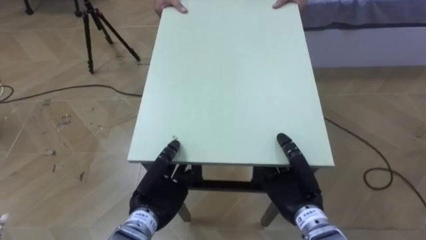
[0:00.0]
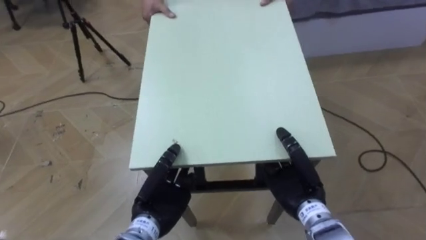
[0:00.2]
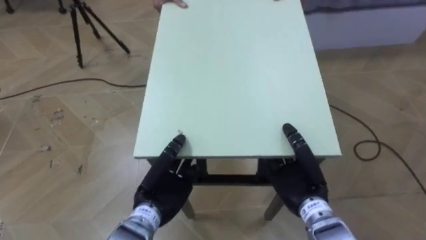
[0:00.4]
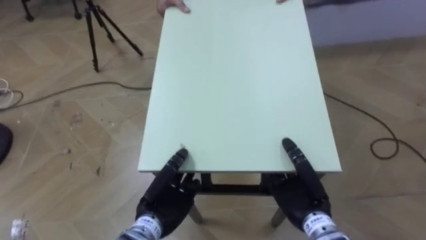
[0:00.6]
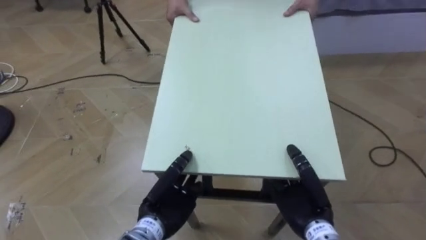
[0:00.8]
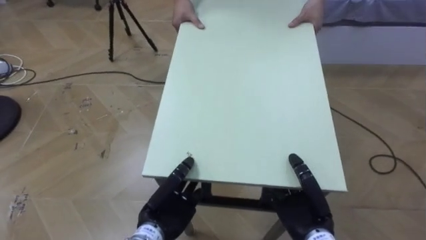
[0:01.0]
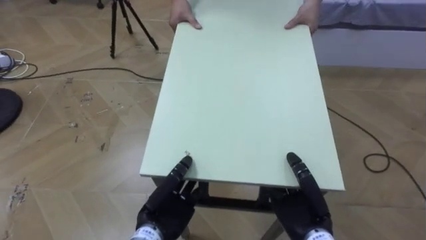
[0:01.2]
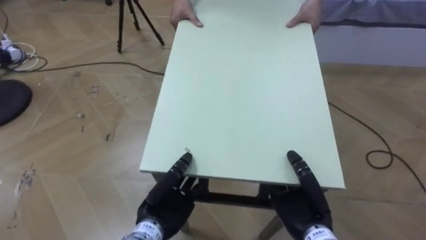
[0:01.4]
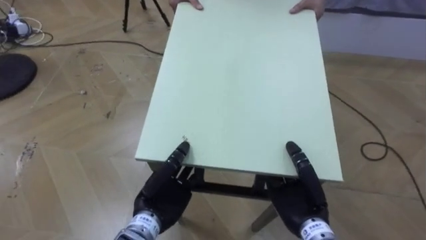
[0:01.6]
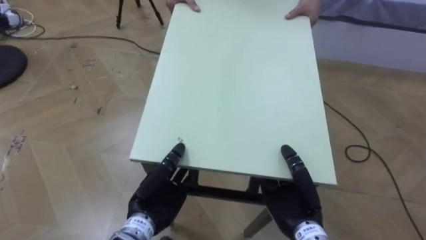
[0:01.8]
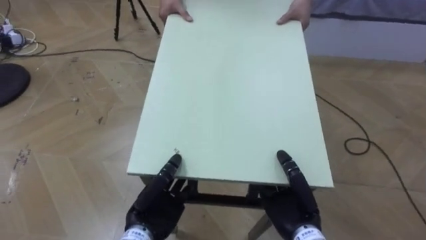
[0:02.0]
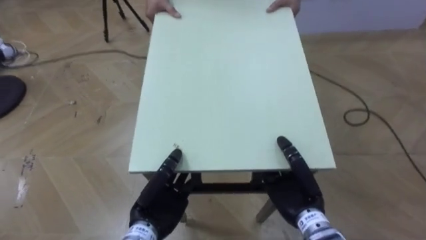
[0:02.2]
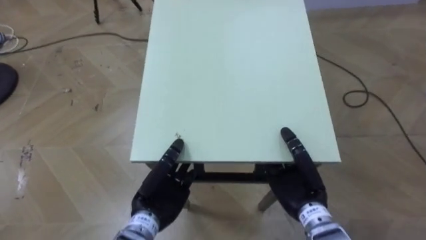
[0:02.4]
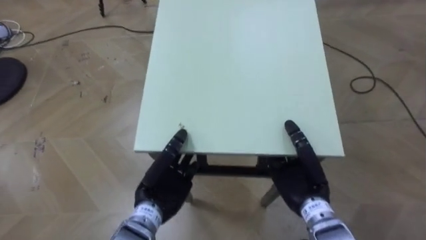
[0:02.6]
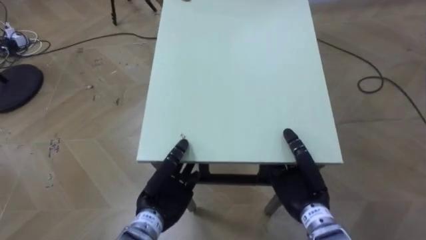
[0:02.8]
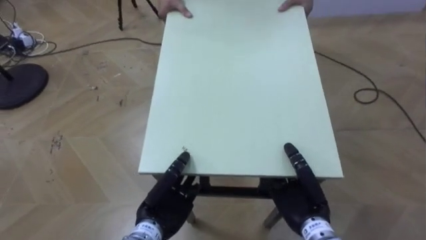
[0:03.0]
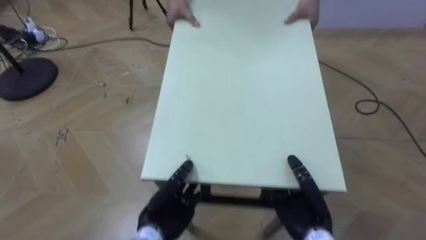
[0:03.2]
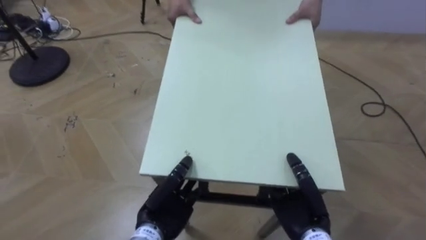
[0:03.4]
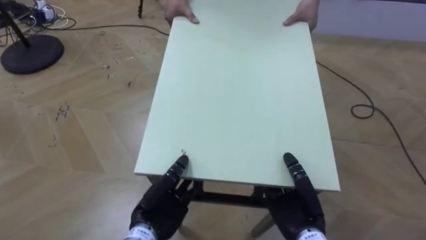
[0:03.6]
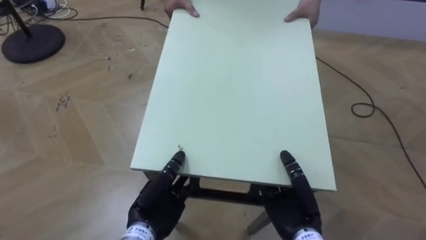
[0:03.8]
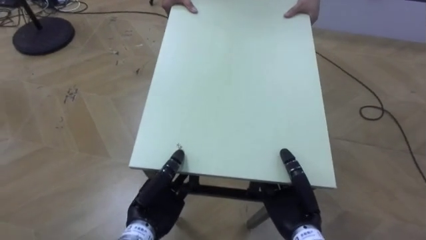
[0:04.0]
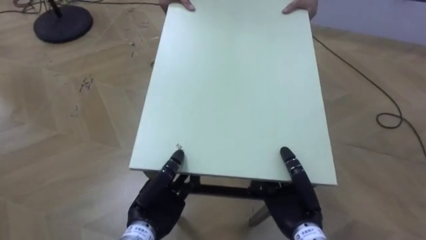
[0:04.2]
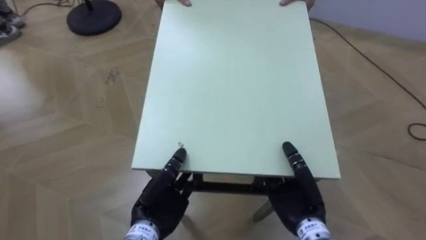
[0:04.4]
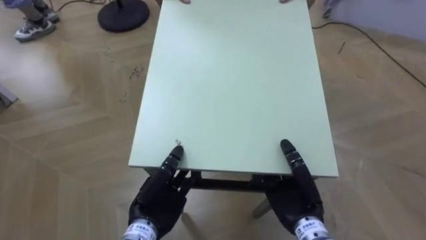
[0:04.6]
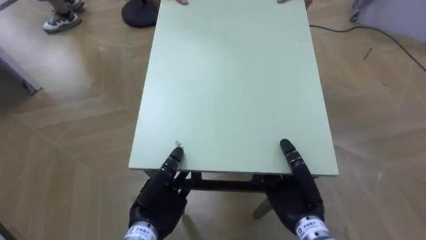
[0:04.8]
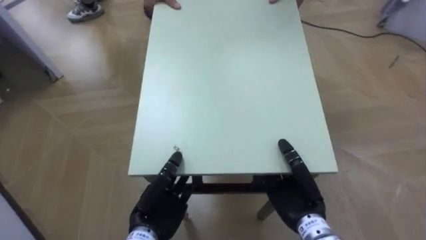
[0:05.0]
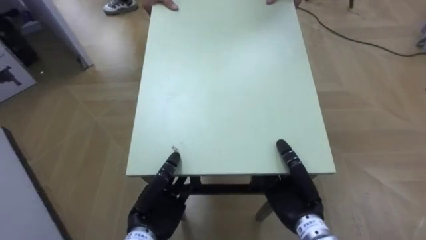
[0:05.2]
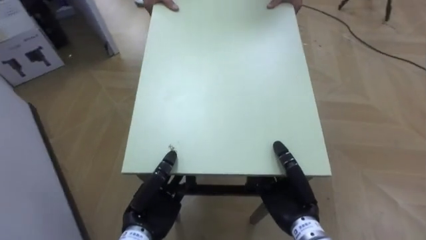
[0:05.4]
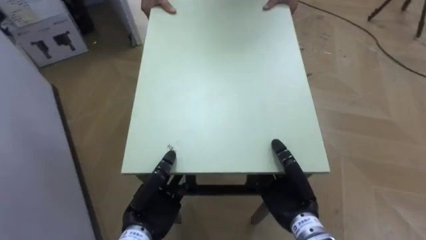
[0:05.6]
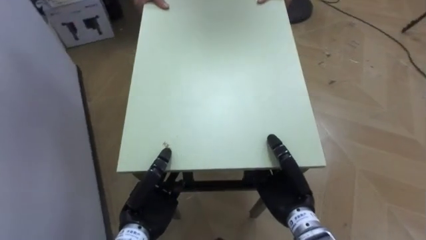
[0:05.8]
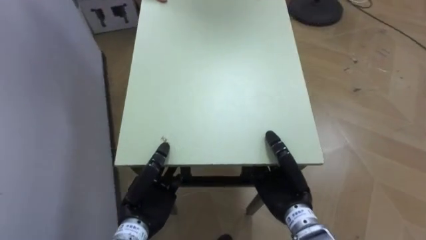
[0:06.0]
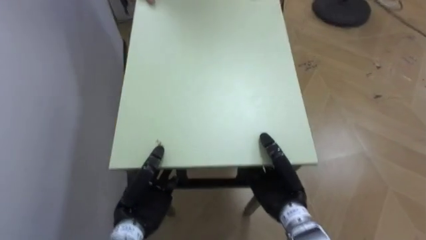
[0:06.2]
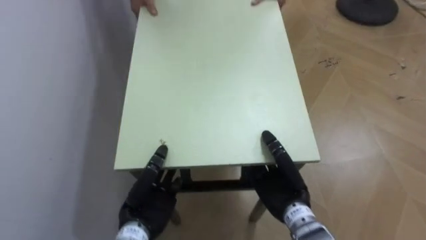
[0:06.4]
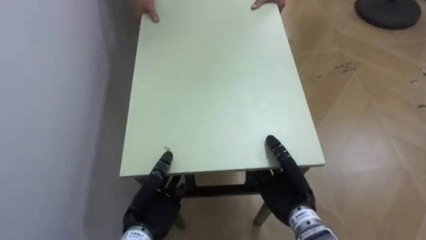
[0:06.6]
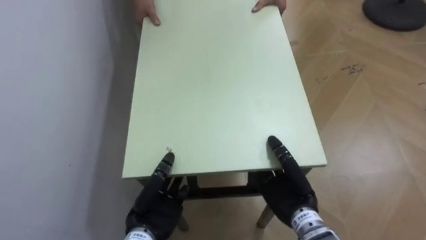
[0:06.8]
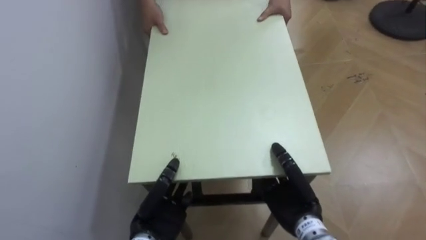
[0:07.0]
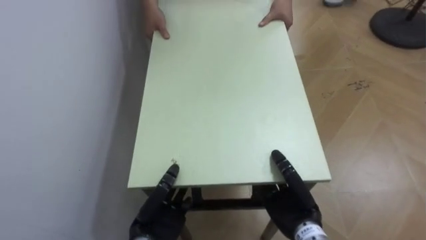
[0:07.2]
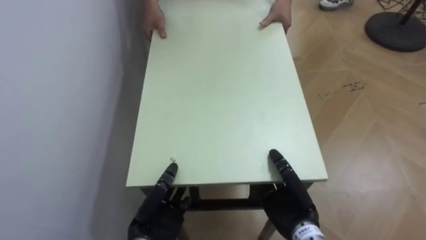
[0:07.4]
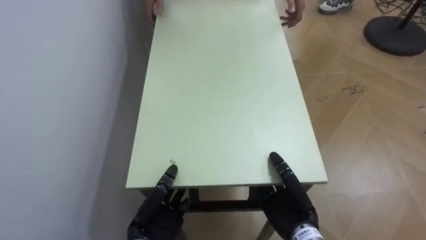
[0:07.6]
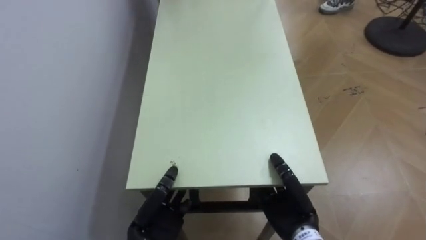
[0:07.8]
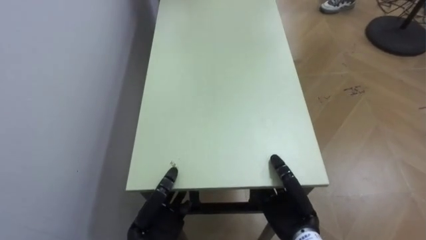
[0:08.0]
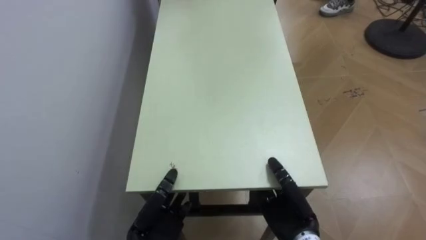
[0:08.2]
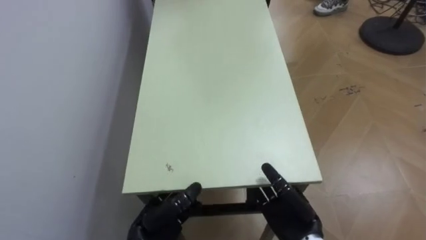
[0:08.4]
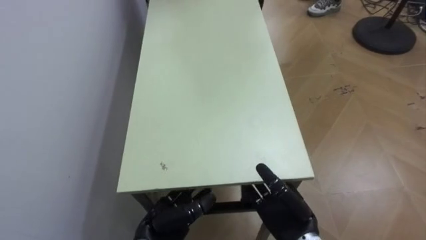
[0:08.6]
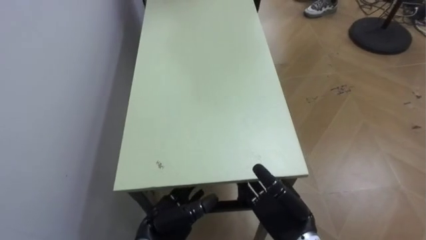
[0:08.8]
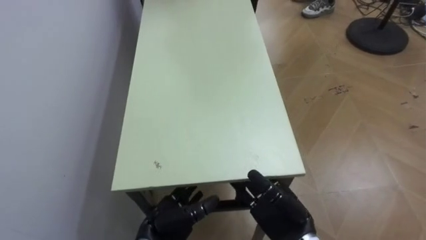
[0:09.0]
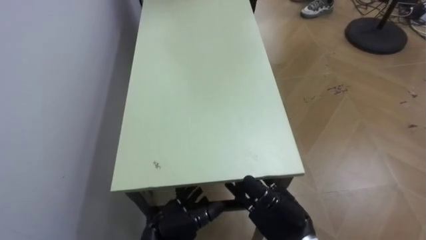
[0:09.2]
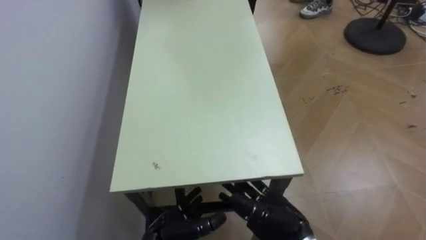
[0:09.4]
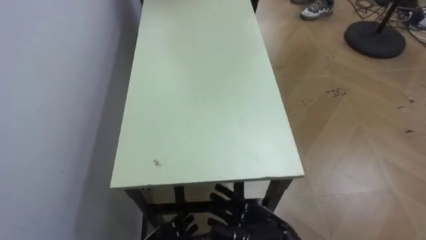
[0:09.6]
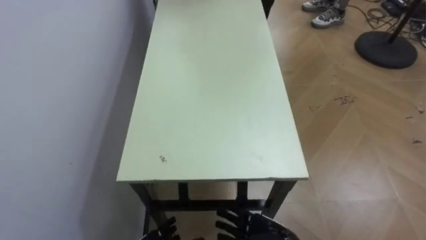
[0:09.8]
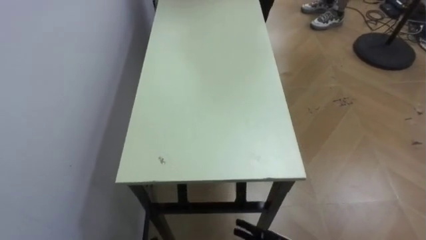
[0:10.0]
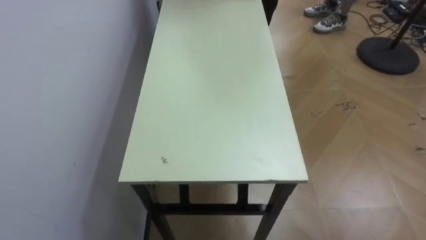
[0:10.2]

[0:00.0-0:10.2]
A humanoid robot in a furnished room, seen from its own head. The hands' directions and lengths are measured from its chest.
Task of the whole recording: Move the table to the back left with someone.
0:03.0 to 0:04.4: The robot's body swings about 15 degrees to its left.
0:04.4 to 0:05.8: The robot turns to its left by approximately 40 degrees.
0:07.2 to 0:08.8: The right hand opens its fingers. The left hand opens its fingers.

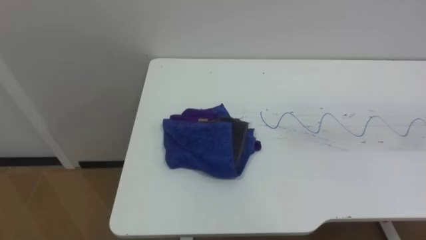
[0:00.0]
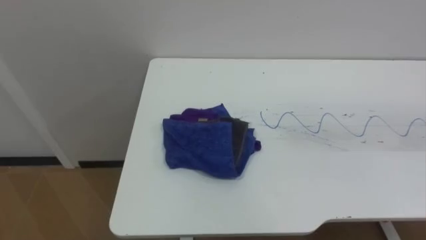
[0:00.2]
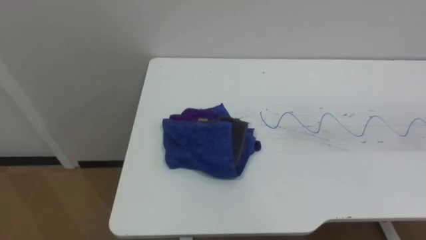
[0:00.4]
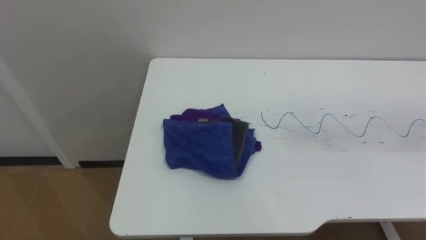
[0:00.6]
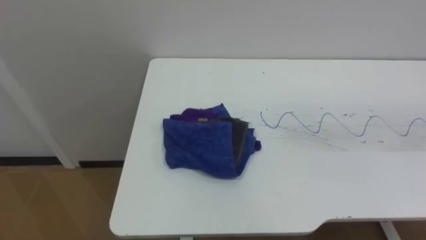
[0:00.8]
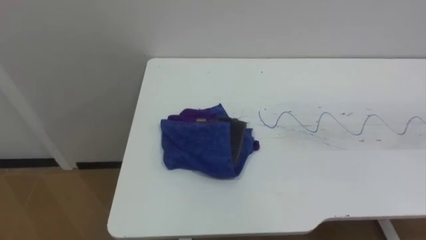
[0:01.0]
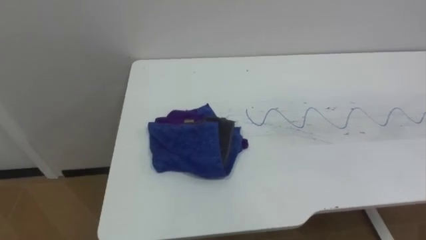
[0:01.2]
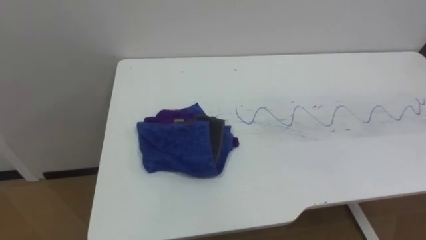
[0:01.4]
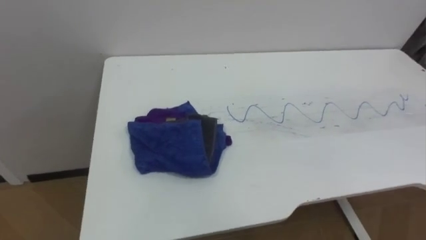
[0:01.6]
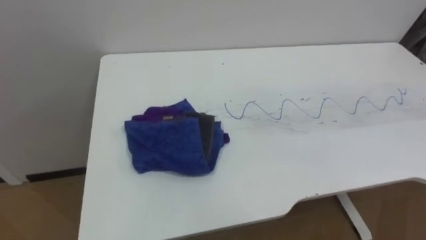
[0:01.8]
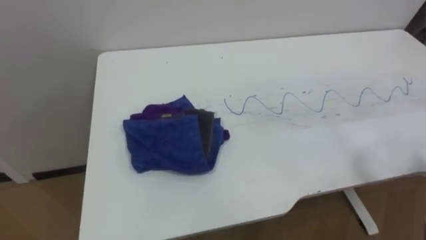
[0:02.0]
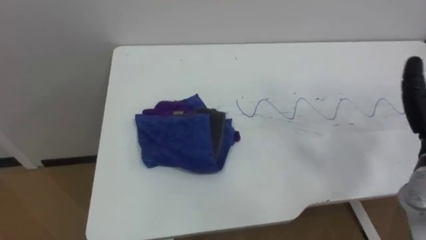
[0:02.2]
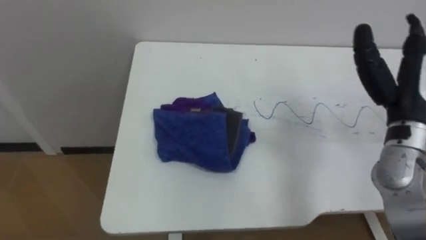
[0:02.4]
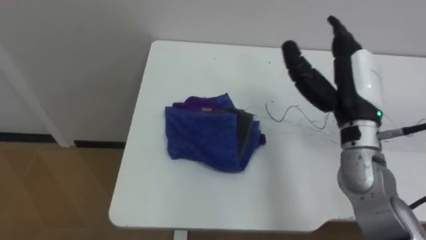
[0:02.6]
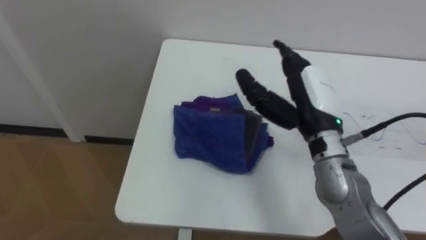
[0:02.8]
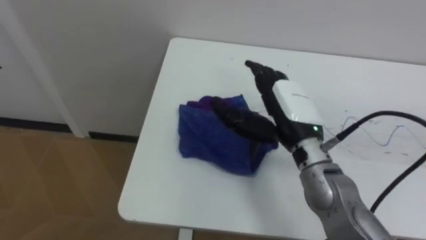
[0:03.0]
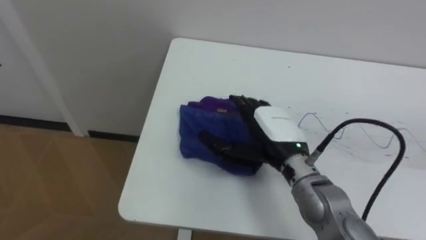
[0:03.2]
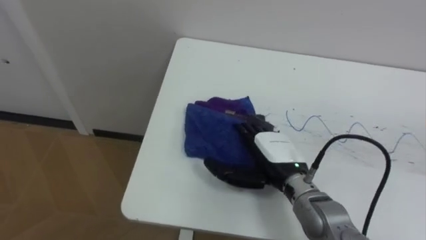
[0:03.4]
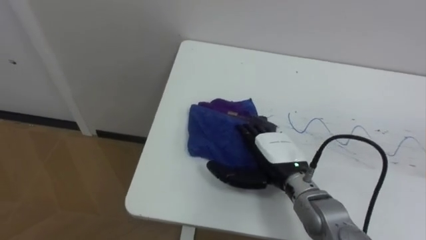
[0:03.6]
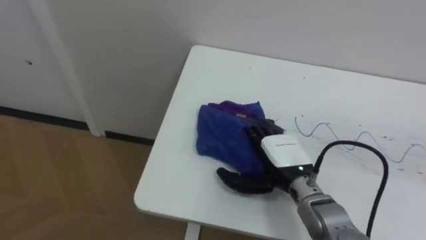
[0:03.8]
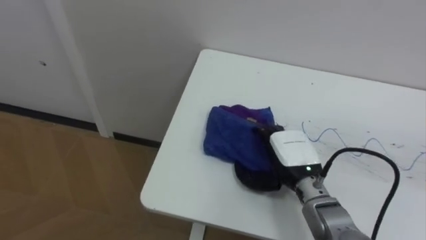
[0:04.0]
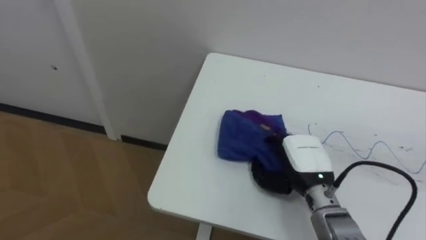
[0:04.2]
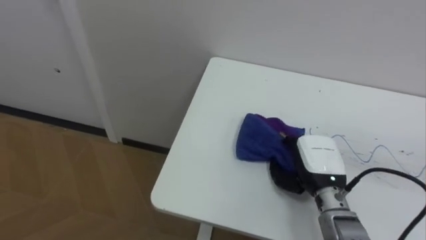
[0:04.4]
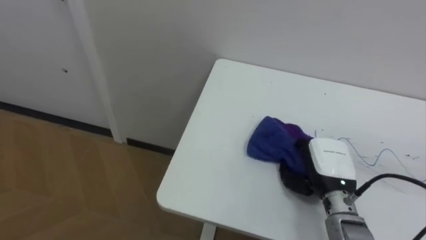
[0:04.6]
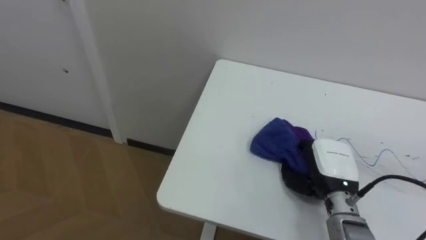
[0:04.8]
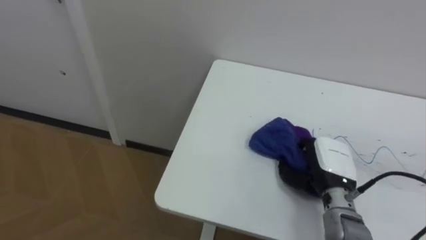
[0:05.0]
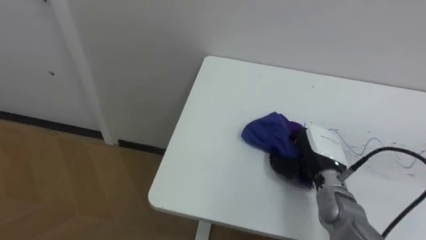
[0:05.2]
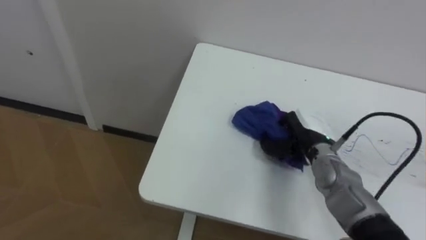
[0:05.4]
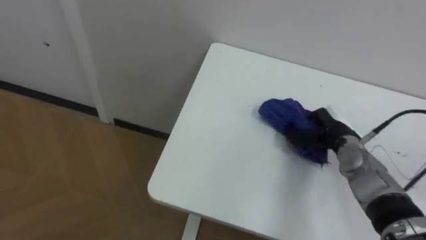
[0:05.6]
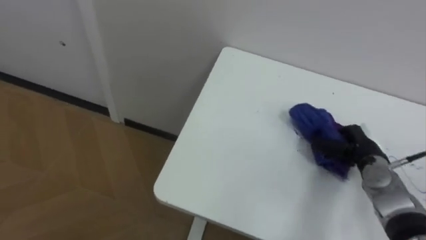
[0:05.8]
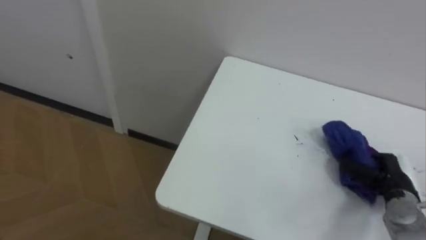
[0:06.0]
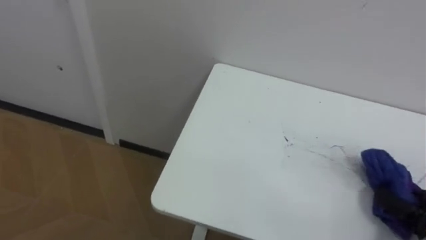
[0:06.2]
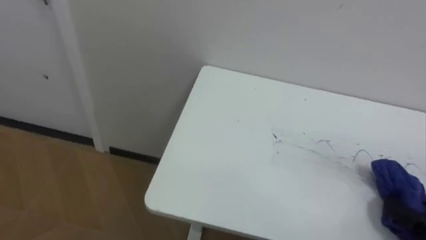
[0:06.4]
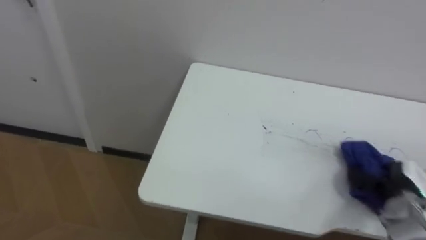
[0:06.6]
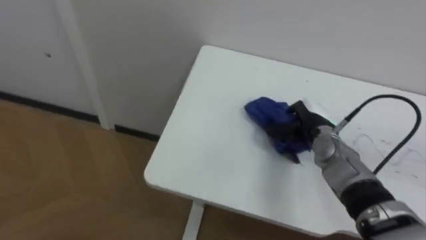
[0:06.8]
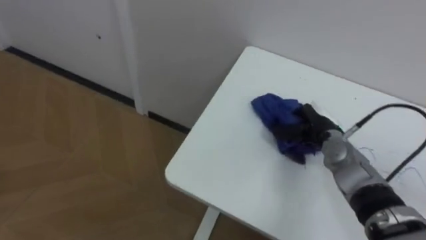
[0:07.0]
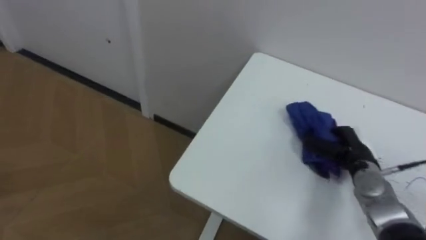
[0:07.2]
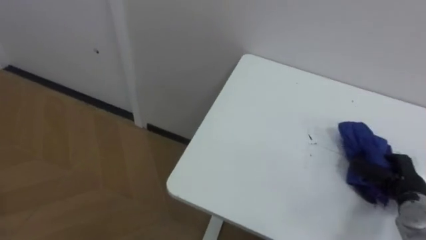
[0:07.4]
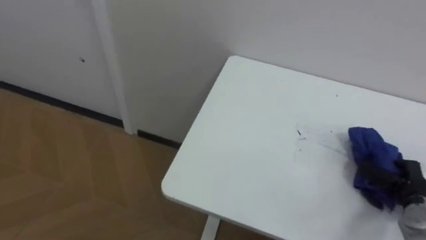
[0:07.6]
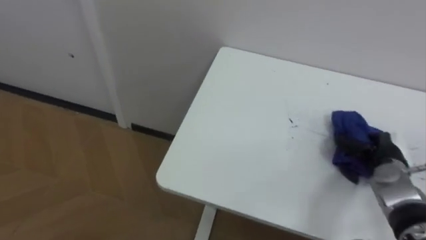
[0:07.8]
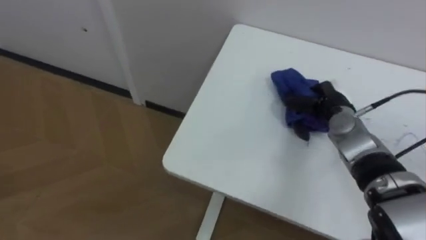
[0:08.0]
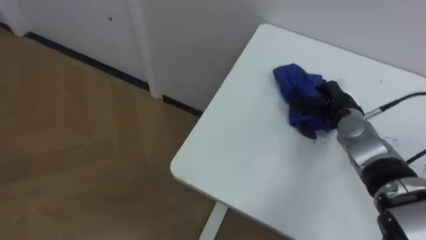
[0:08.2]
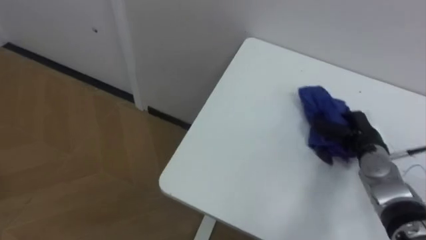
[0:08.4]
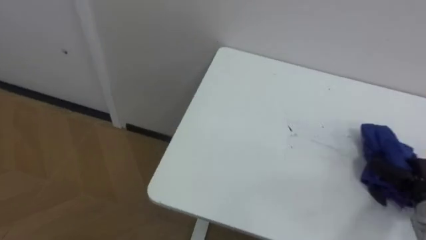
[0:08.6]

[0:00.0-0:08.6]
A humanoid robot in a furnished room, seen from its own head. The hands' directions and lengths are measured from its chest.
Task of the whole recording: Wipe the blue pen marks off the table with the rag.
0:02.8 to 0:04.4: The right hand moves downward, approximately 15 cm, and closes its fingers.
0:04.4 to 0:05.8: The right hand heads to the right and forward, covering approximately 10 cm, and closes up.
0:07.2 to 0:08.6: The right hand moves forward and backward over roughly 20 cm, changing direction 2 times.
